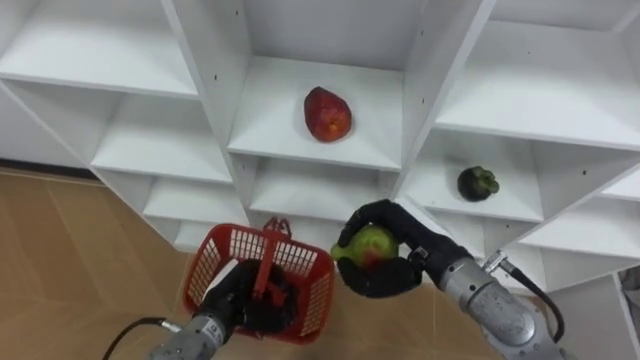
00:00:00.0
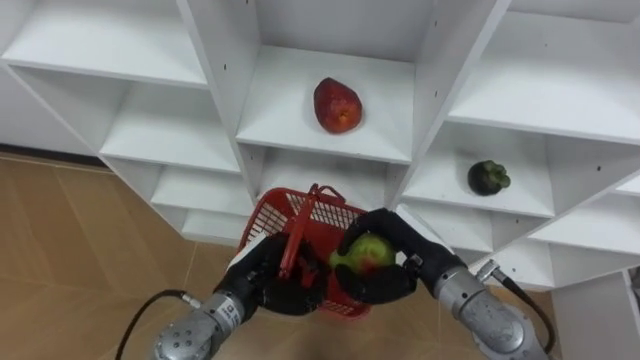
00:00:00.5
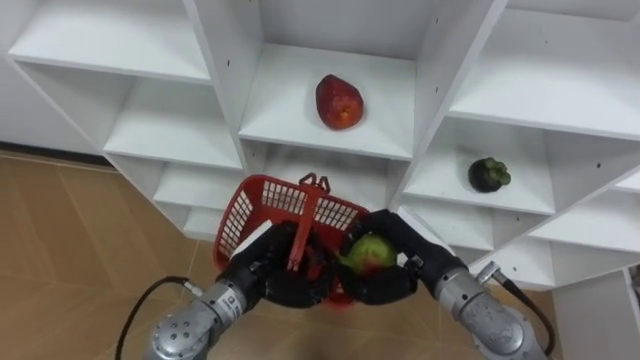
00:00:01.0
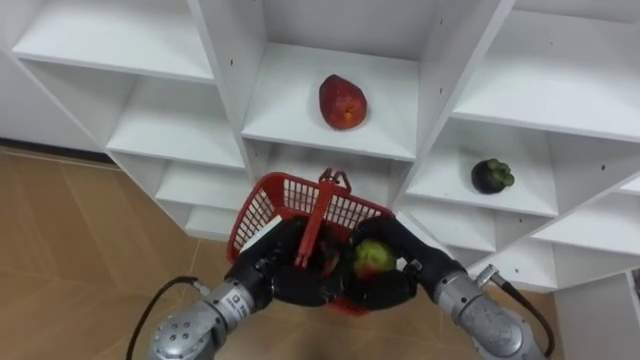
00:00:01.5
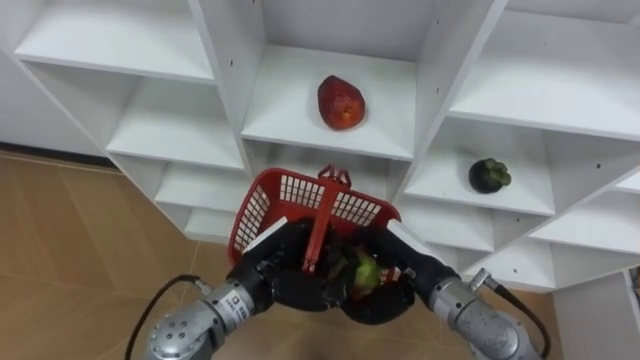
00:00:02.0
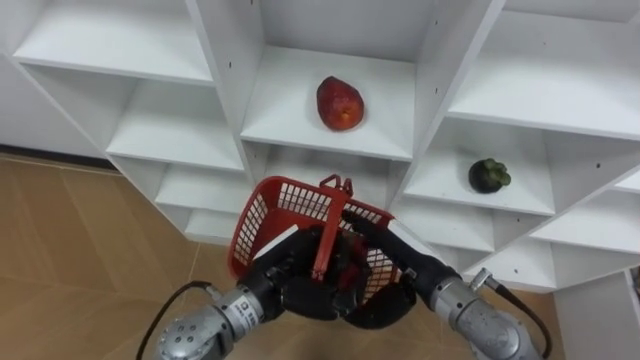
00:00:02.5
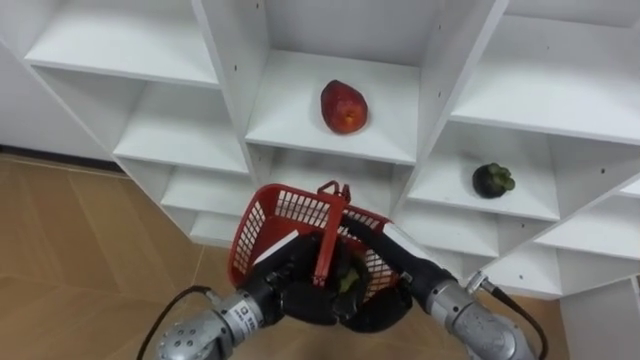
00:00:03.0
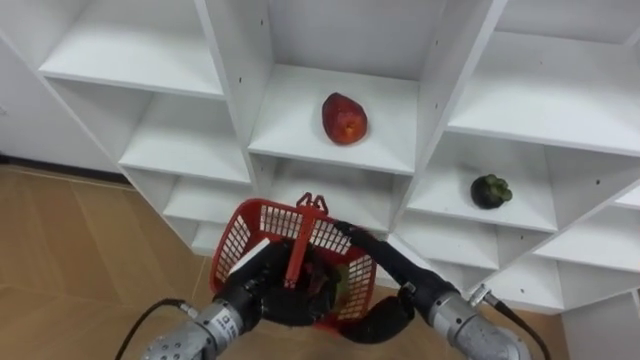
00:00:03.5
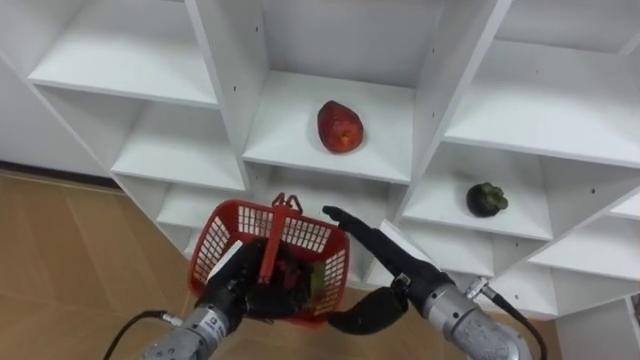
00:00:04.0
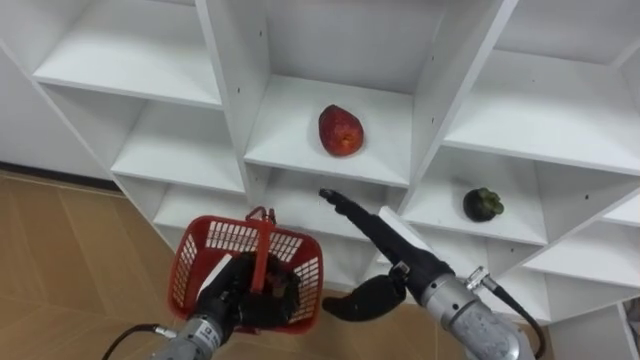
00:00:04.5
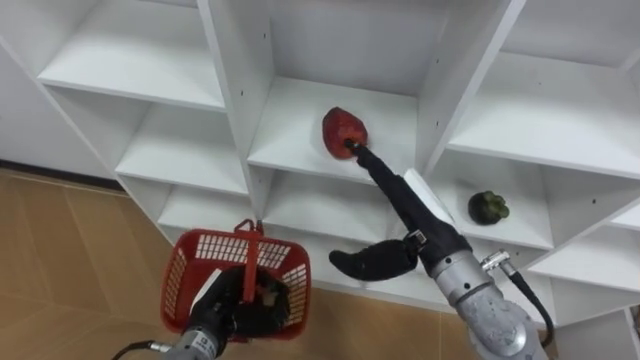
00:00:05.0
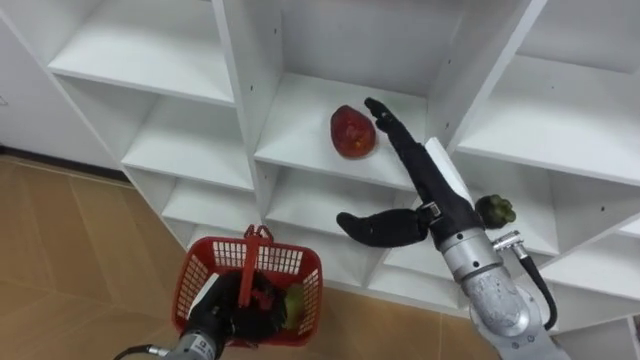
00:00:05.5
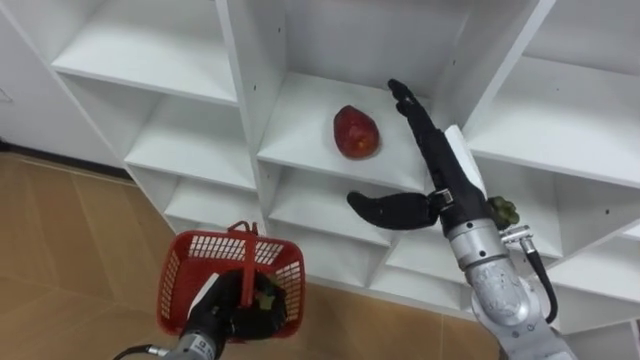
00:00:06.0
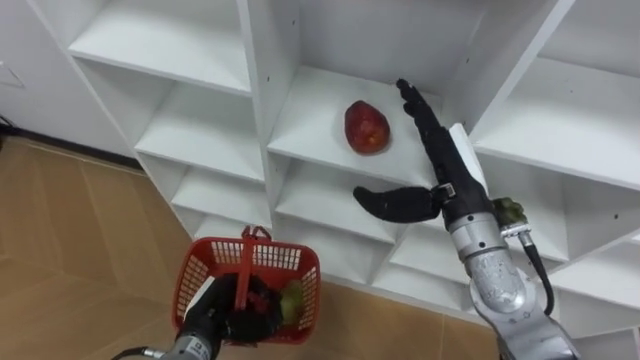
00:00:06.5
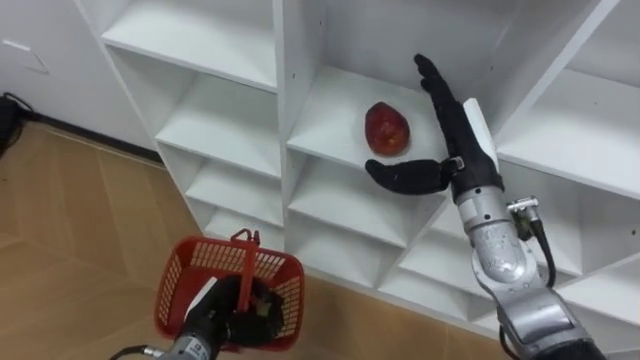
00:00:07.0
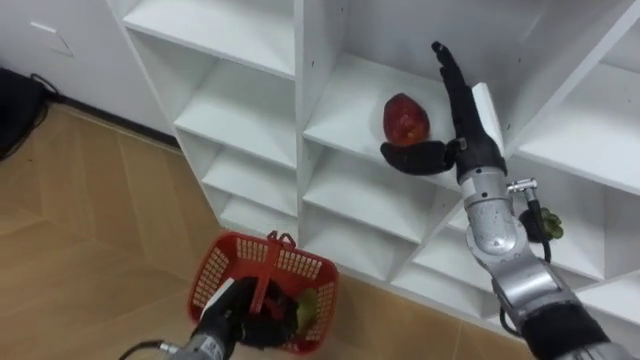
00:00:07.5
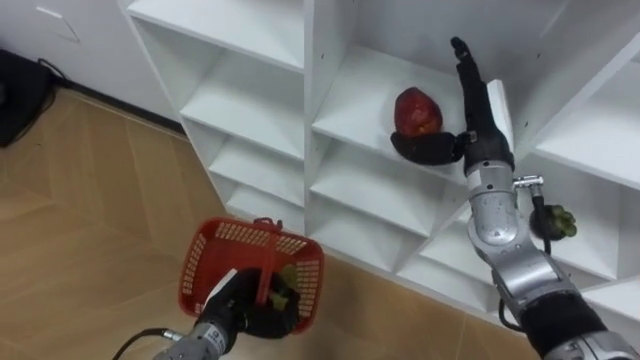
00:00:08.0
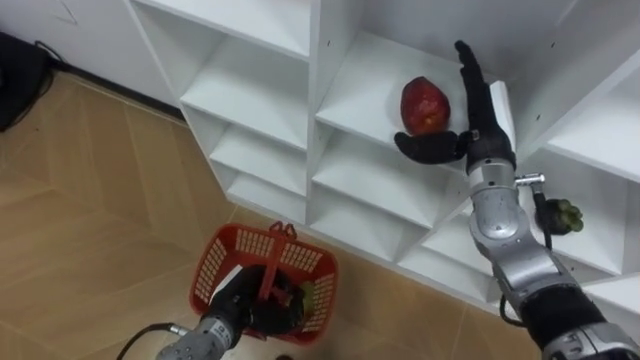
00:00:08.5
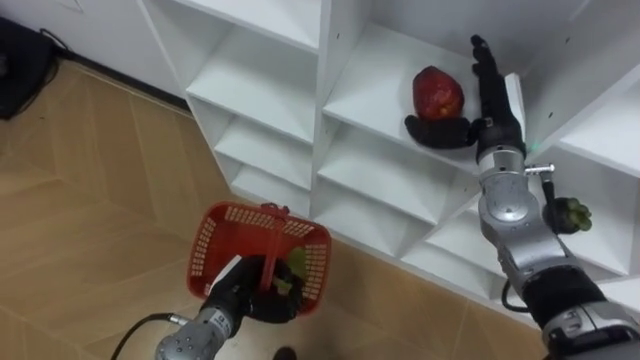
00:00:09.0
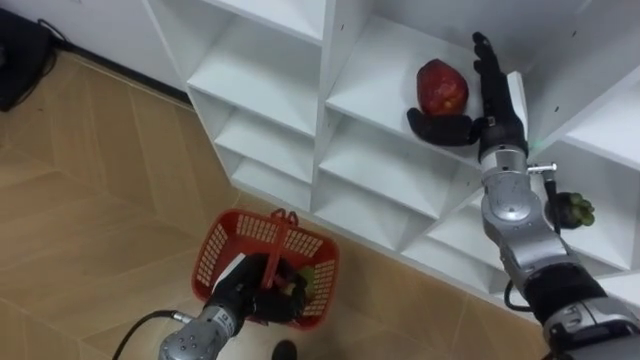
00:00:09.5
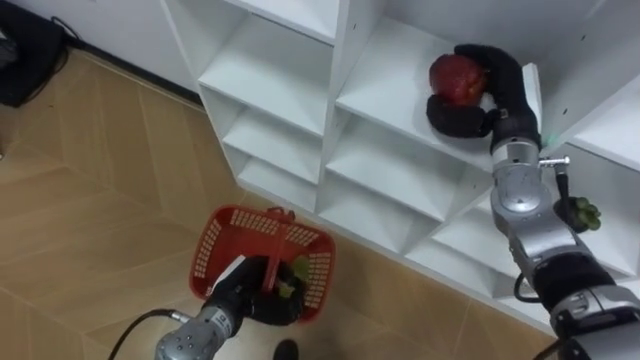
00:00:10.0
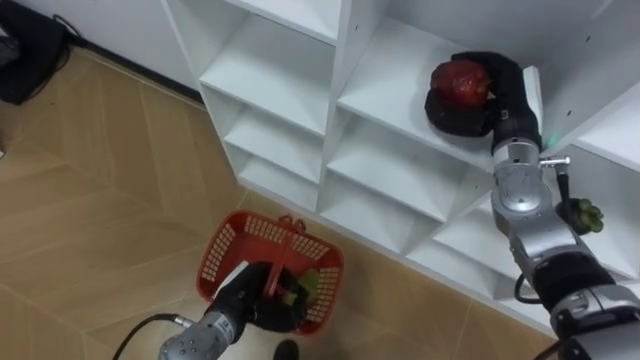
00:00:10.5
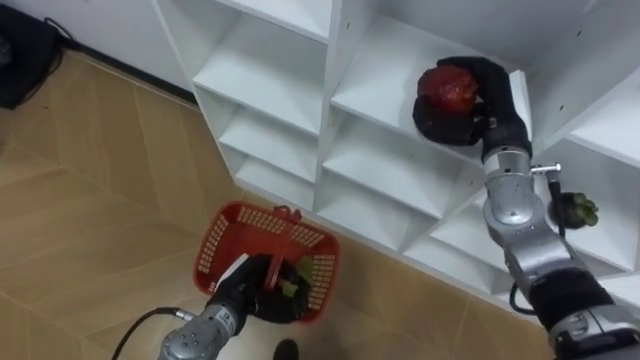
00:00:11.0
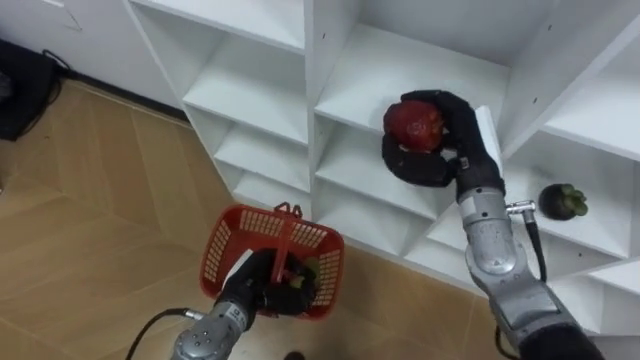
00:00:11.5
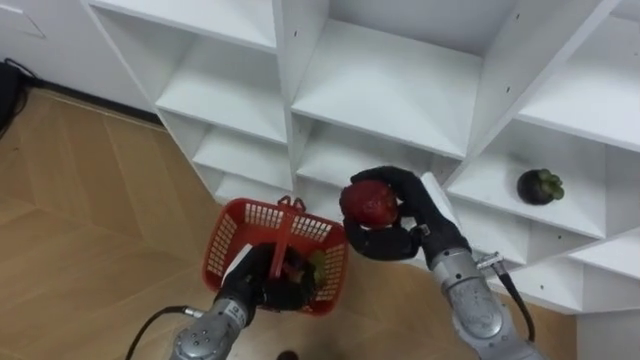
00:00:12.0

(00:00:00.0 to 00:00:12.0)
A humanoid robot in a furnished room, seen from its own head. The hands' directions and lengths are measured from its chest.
Task of the whole recording: Hold the basket and collect the fruits from 3 different cells of the closet into it.
00:00:00.0 - 00:00:02.0: The left hand travels upward and to the right by about 10 cm.
00:00:02.0 - 00:00:04.0: The right hand opens up; the left hand goes approximately 5 cm to the left.
00:00:04.0 - 00:00:06.0: The right hand travels upward and forward by roughly 10 cm; the left hand moves downward, about 5 cm.
00:00:06.0 - 00:00:08.0: The right hand shifts approximately 10 cm forward.
00:00:08.0 - 00:00:10.0: The right hand closes.
00:00:10.0 - 00:00:12.0: The right hand heads backward, to the left and downward, covering about 15 cm.

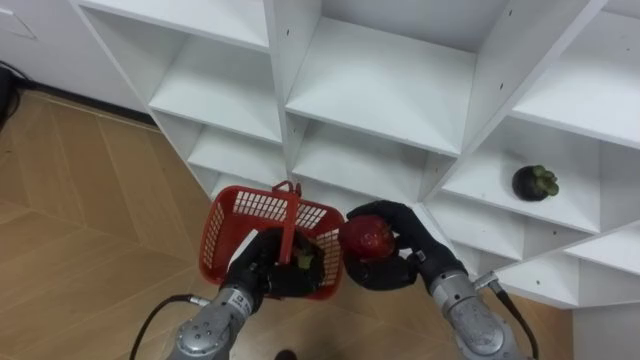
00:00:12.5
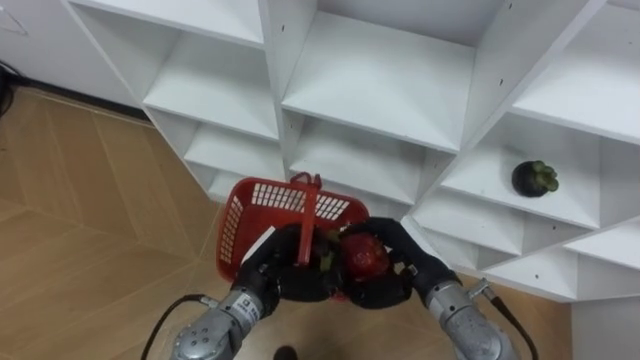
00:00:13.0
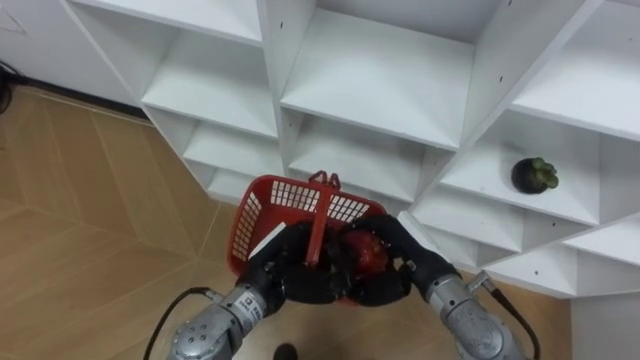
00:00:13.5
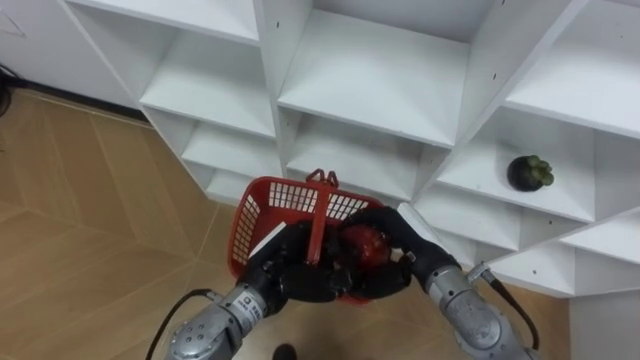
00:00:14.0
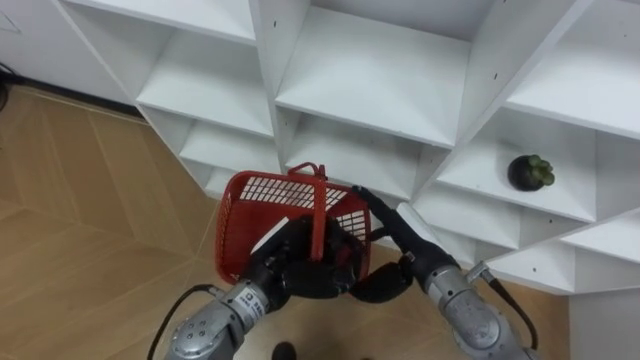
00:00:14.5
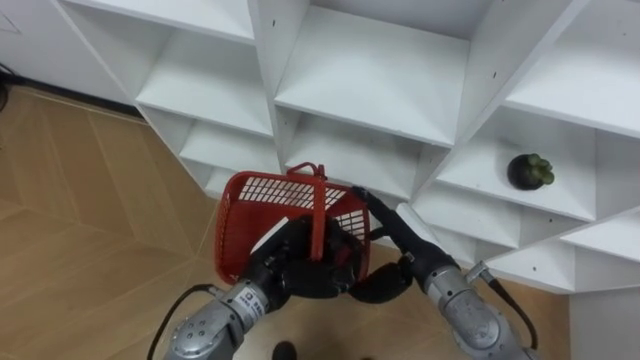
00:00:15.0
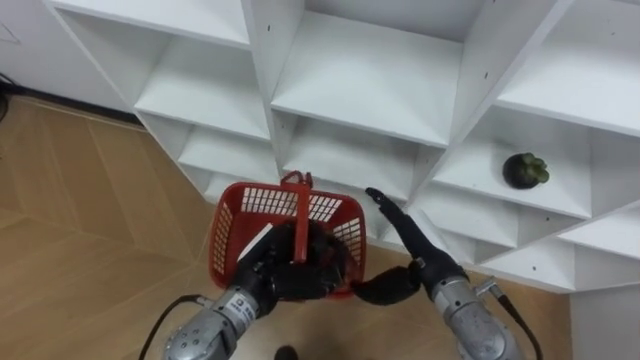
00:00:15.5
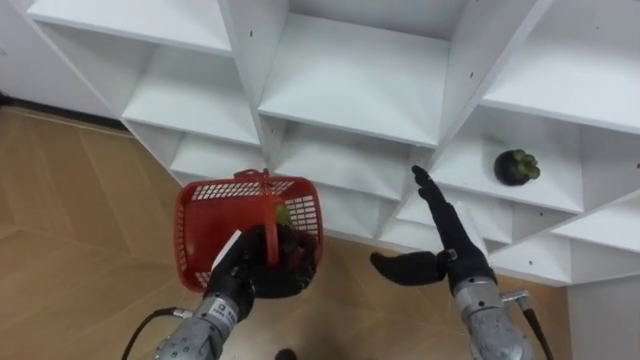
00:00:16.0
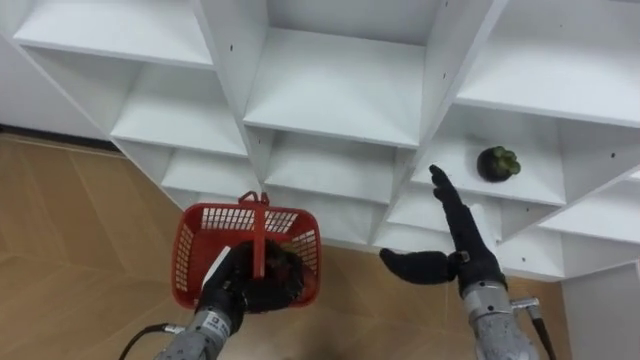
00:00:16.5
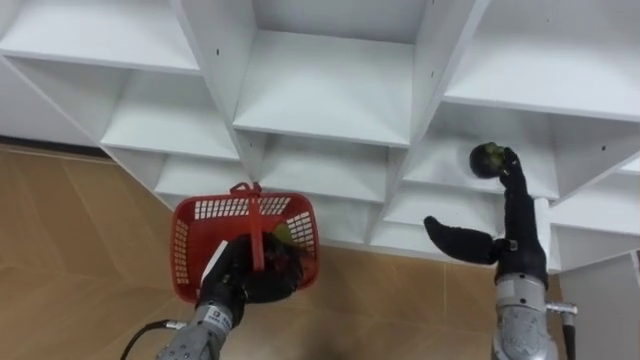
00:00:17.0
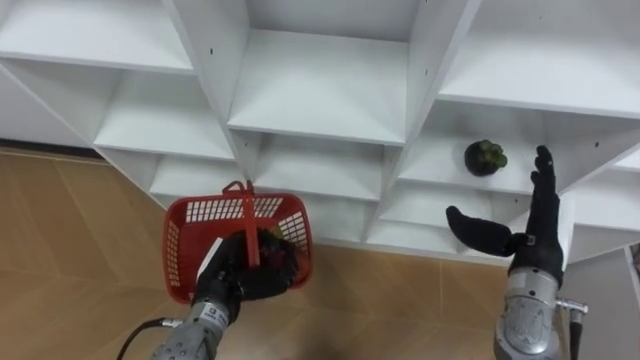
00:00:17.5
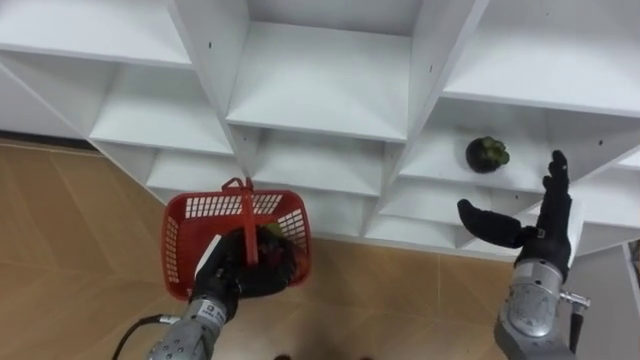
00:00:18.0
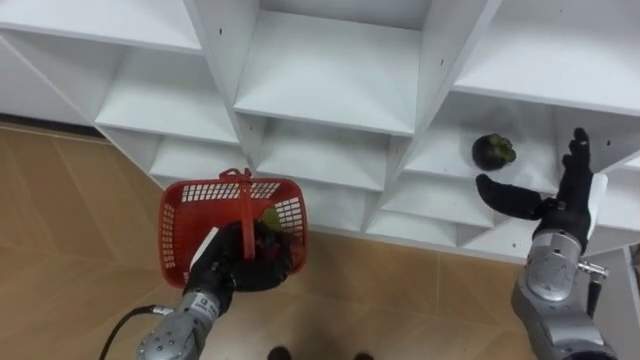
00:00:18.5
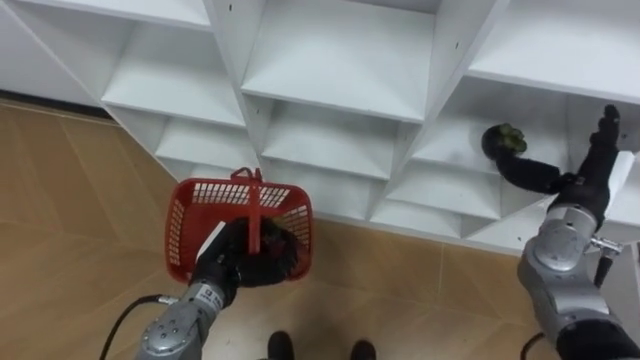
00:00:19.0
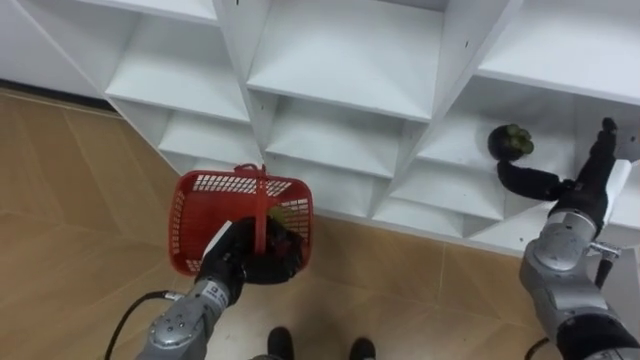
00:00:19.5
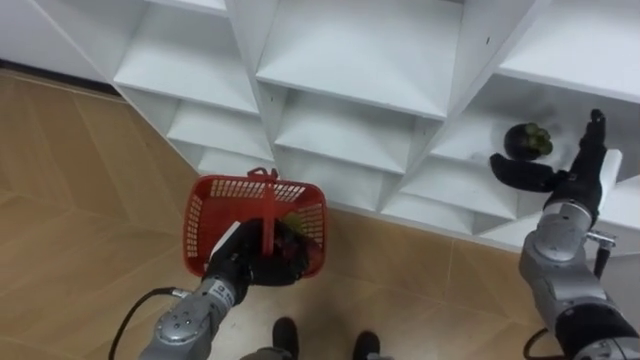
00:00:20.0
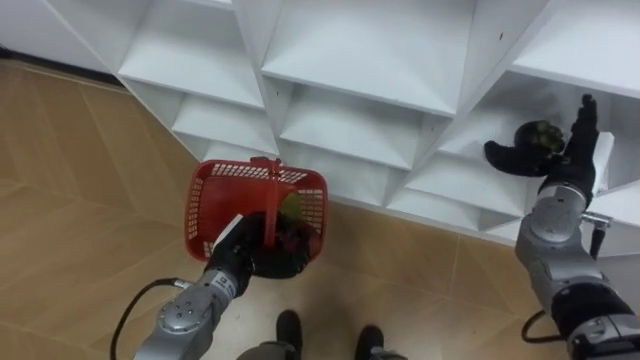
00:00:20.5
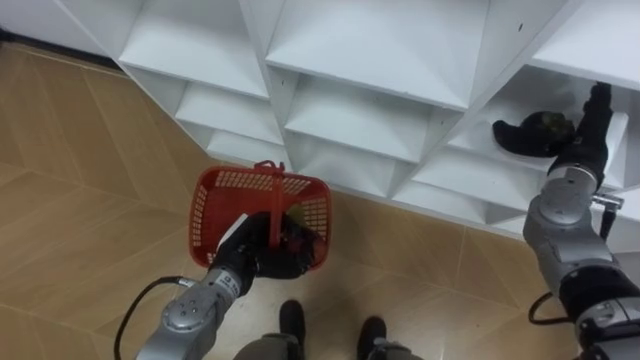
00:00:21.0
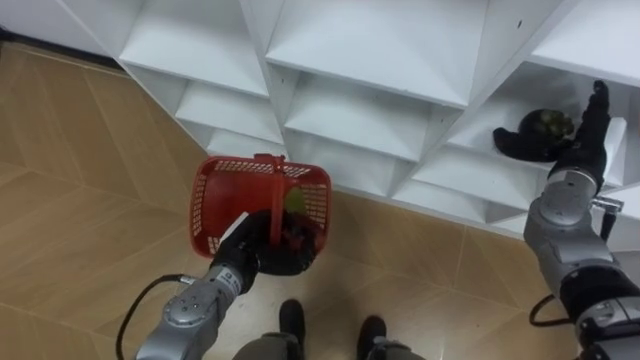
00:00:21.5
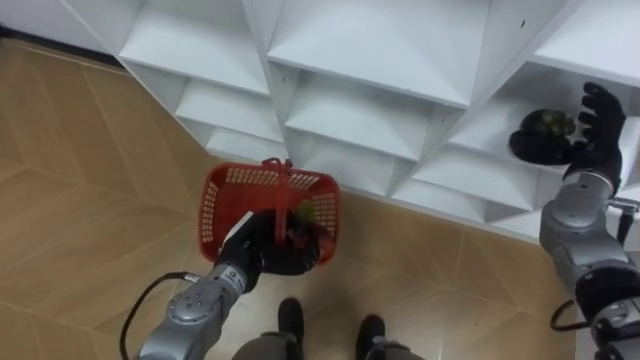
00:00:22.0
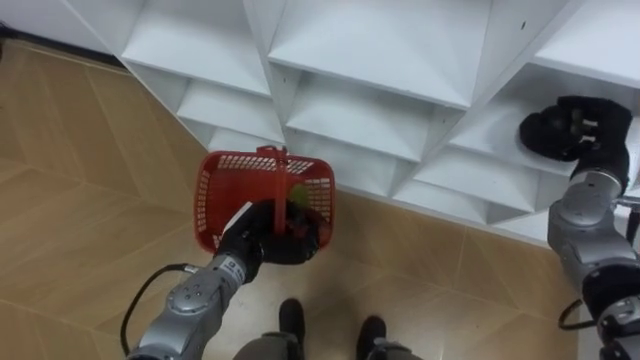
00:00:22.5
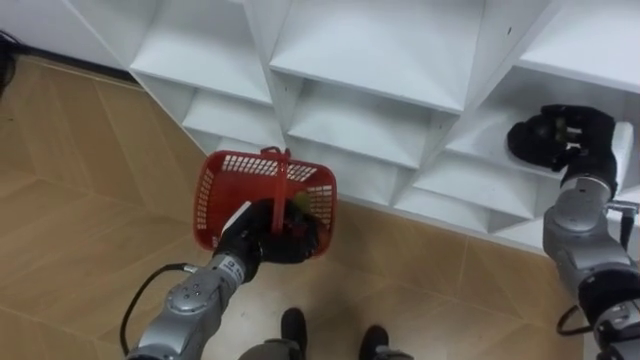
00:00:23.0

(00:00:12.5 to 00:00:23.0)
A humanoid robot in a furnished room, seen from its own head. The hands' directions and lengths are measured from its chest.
Task of the whole recording: Hold the basket and collect the fruits from 3 different cells of the closet into it.
00:00:12.5 - 00:00:14.5: The right hand opens up. The left hand goes approximately 5 cm upward.
00:00:14.5 - 00:00:16.5: The right hand heads to the right, covering approximately 5 cm. The left hand heads to the left and downward, covering roughly 10 cm.
00:00:16.5 - 00:00:19.0: The right hand goes about 15 cm to the right and forward.
00:00:19.0 - 00:00:21.0: The right hand shifts by about 5 cm.
00:00:21.0 - 00:00:23.0: The right hand closes.
